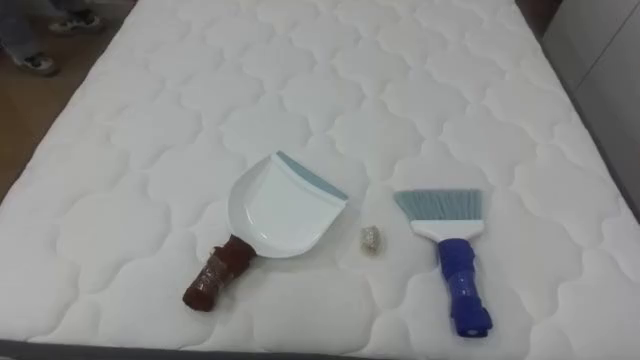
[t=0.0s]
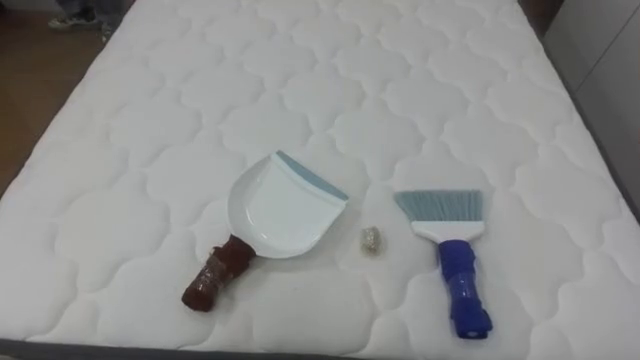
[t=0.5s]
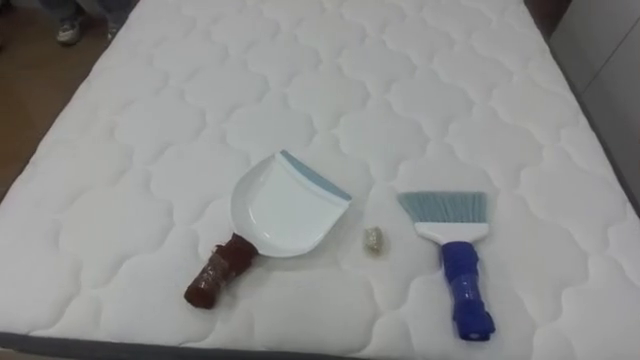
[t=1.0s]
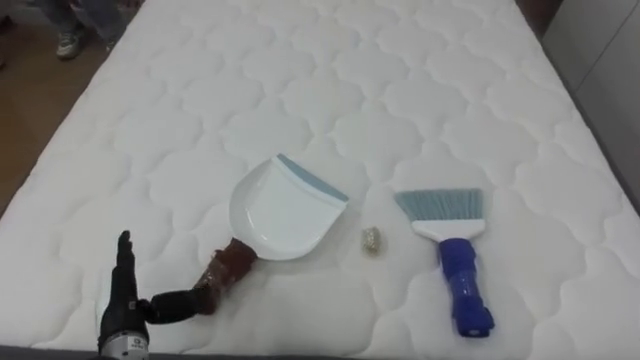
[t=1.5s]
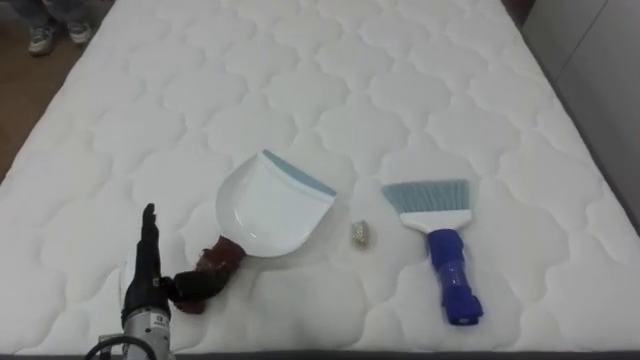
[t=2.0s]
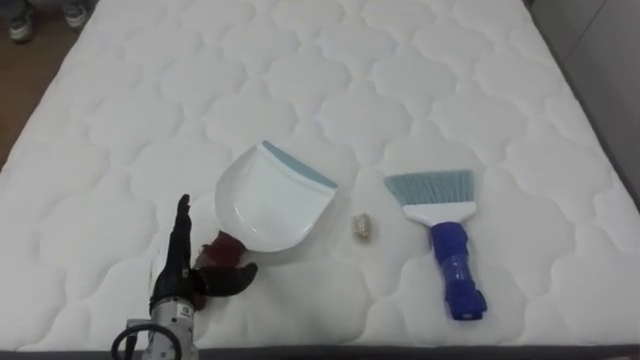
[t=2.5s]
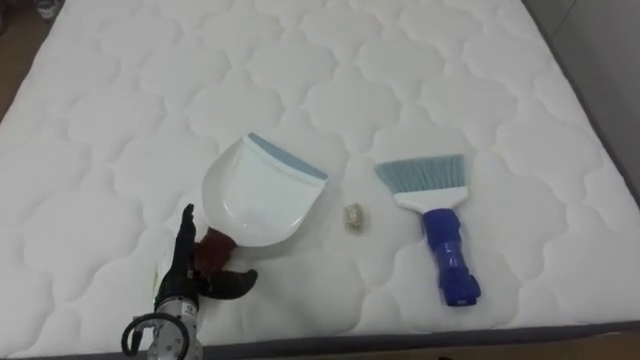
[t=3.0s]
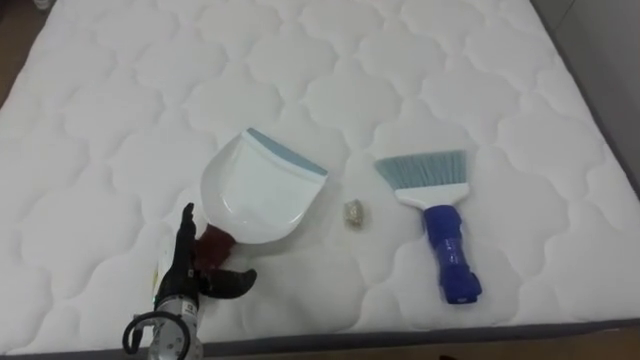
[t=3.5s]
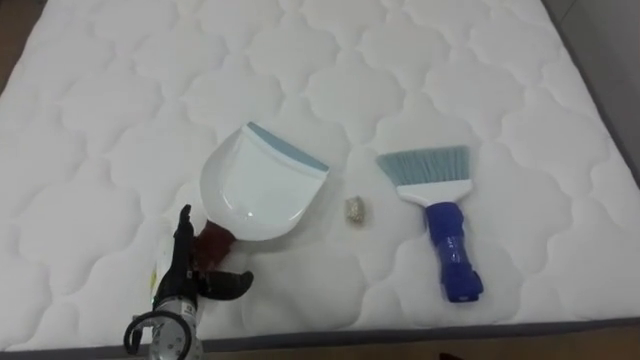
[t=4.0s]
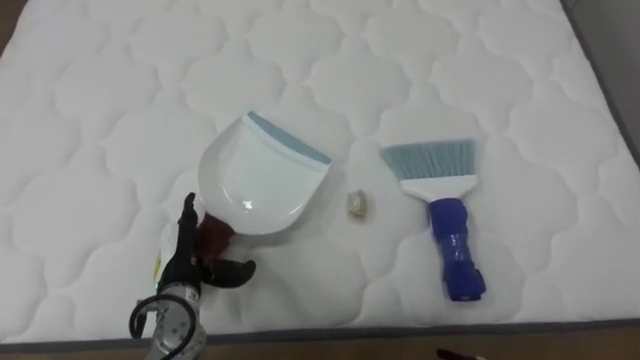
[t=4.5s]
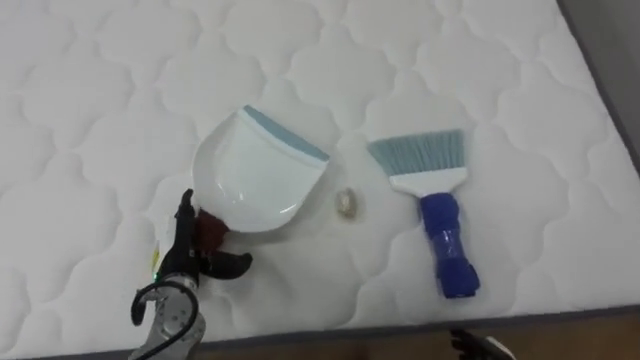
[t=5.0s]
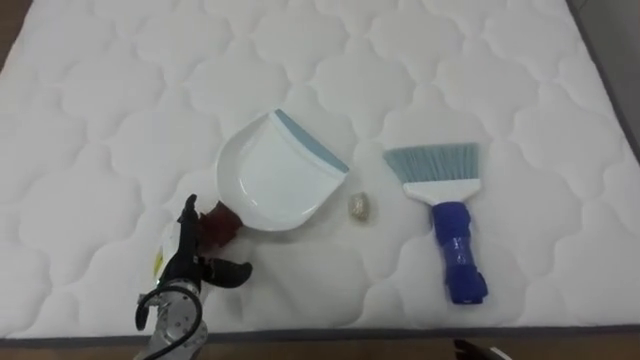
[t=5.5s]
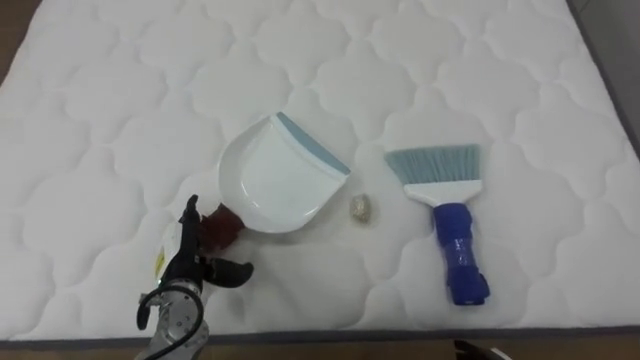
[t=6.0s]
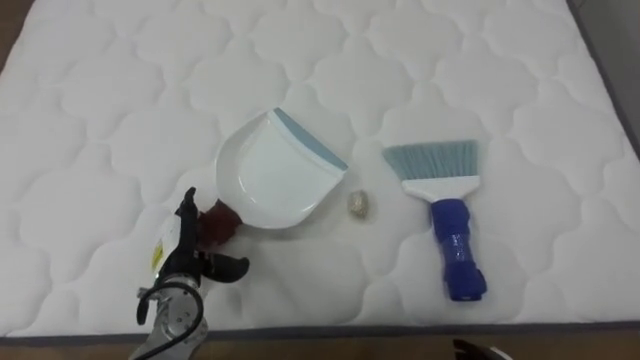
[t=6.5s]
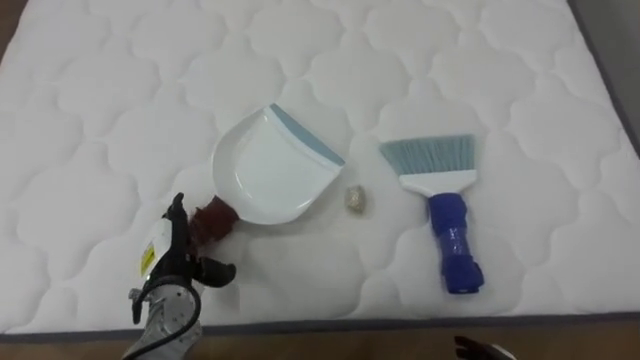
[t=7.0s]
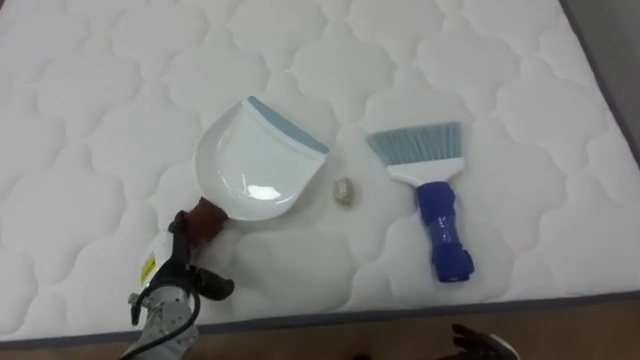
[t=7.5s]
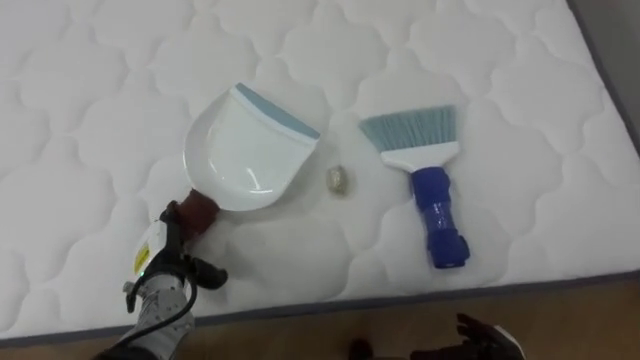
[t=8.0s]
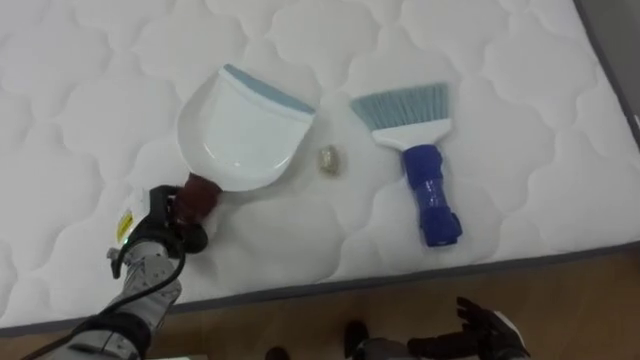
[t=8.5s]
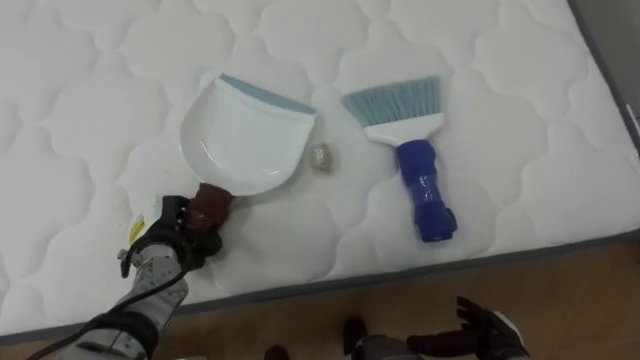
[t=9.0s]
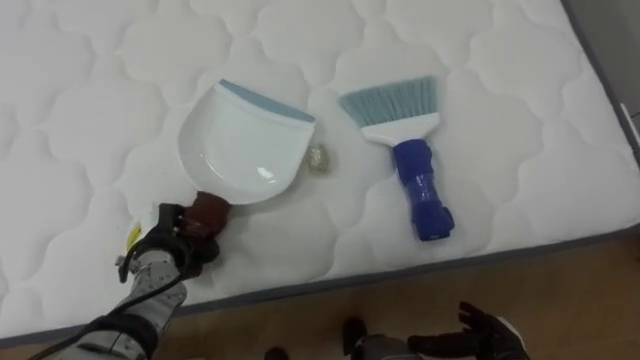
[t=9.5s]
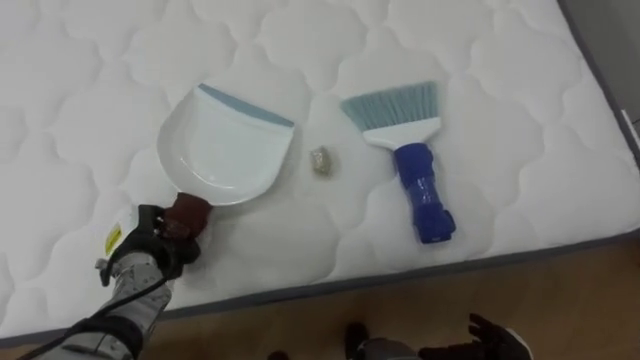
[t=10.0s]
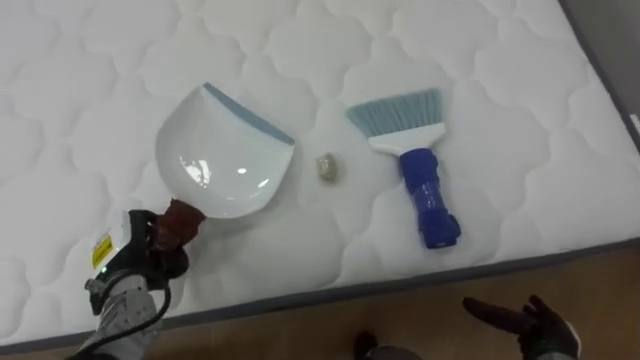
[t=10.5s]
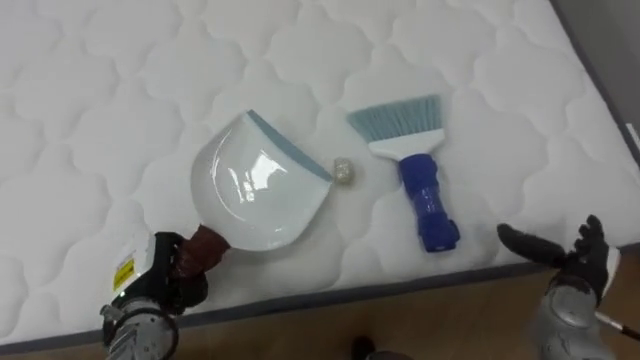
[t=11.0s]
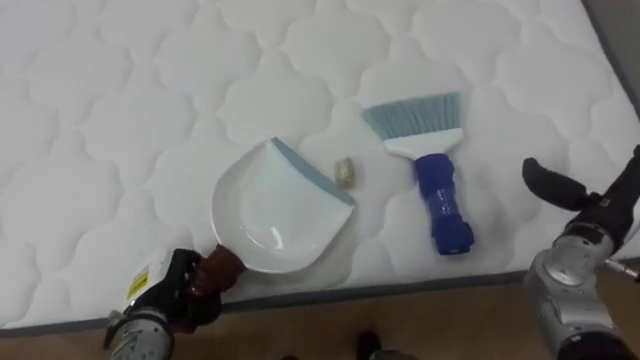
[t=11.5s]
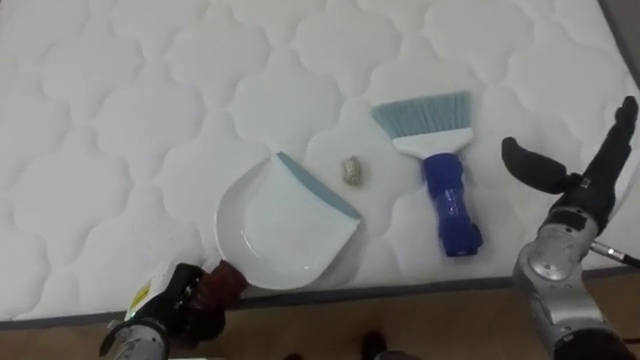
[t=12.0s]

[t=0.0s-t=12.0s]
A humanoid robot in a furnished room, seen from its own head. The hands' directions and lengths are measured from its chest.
Task of the whole recording: Pick up the brush on your right and the dustpan on your left. Use the brush to sweep the crumpled paper on the bed into the dustpan, then turn left and empty it into the basket.
t=8.0s to t=10.0s: The left hand closes up.
t=10.0s to t=12.0s: The left hand shifts roughly 5 cm backward.

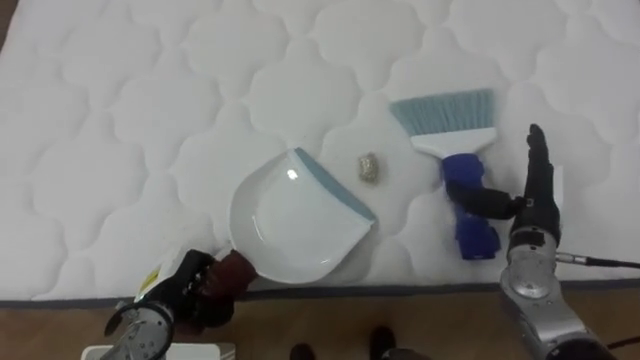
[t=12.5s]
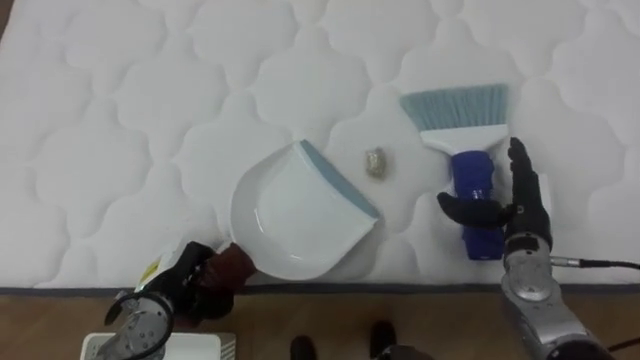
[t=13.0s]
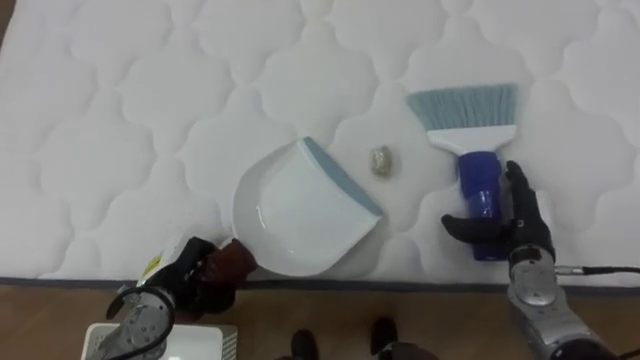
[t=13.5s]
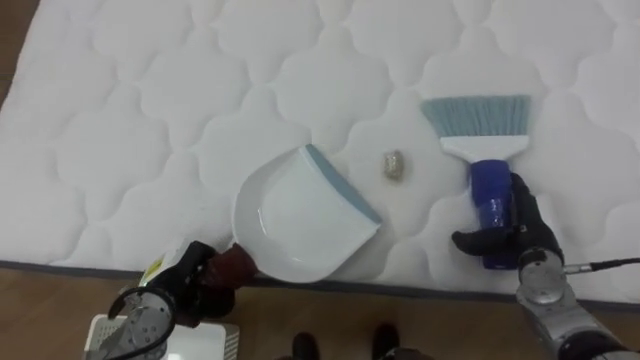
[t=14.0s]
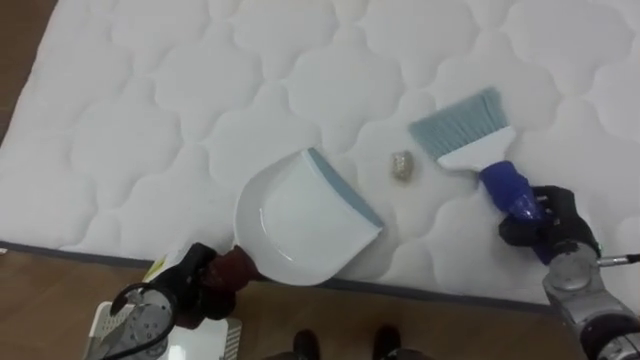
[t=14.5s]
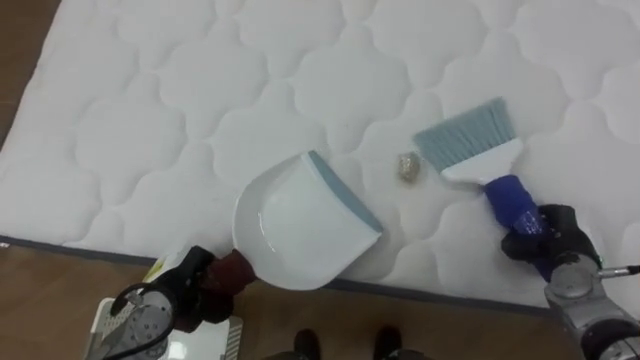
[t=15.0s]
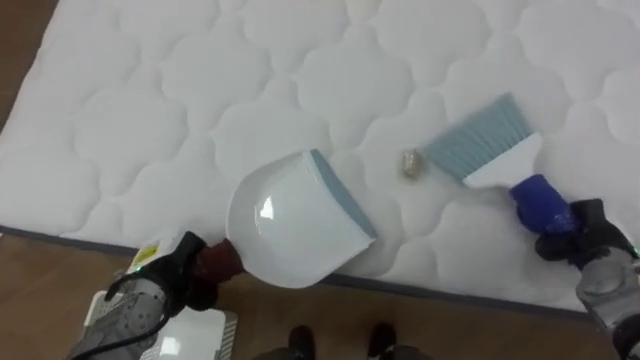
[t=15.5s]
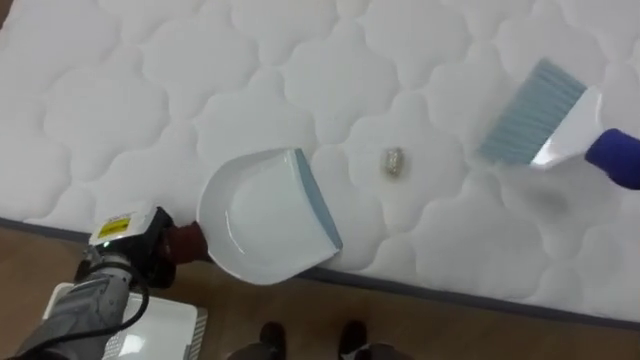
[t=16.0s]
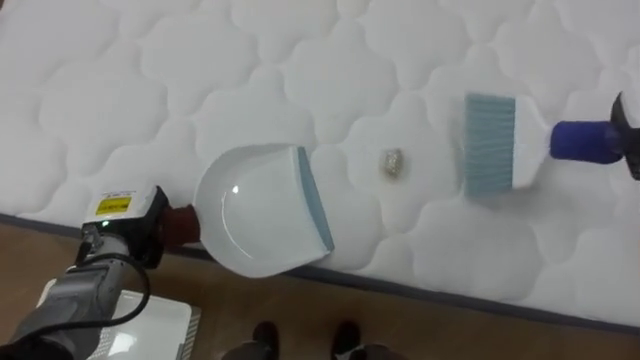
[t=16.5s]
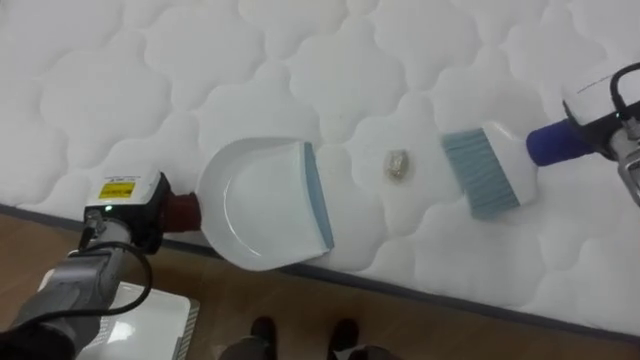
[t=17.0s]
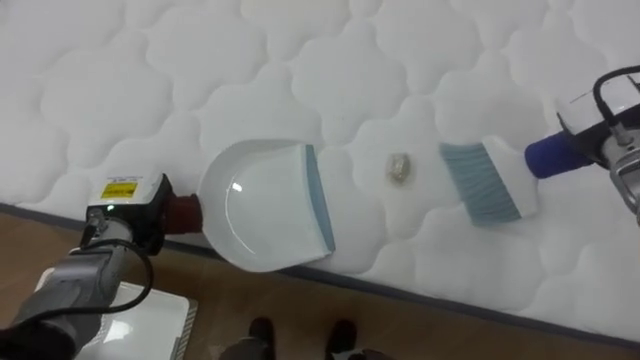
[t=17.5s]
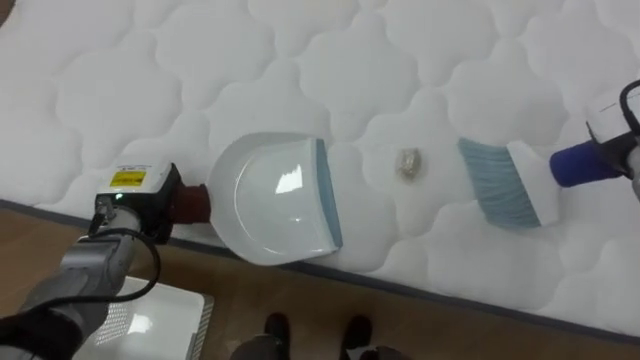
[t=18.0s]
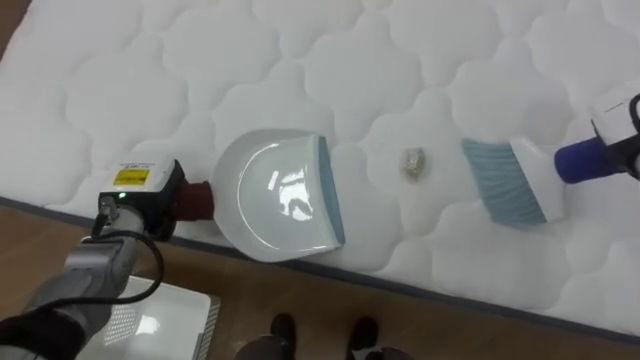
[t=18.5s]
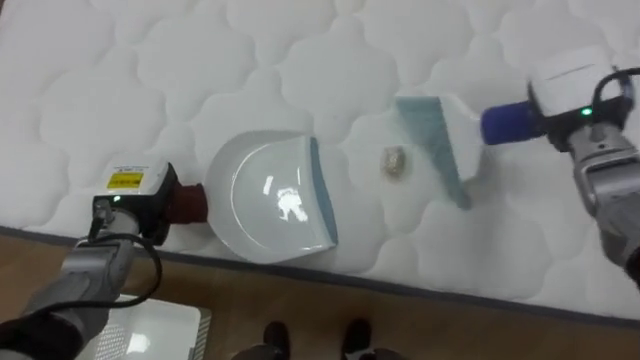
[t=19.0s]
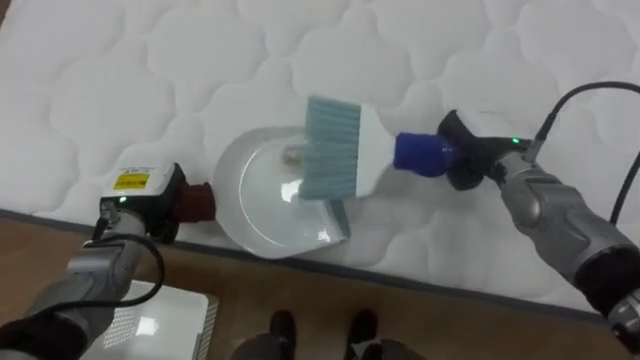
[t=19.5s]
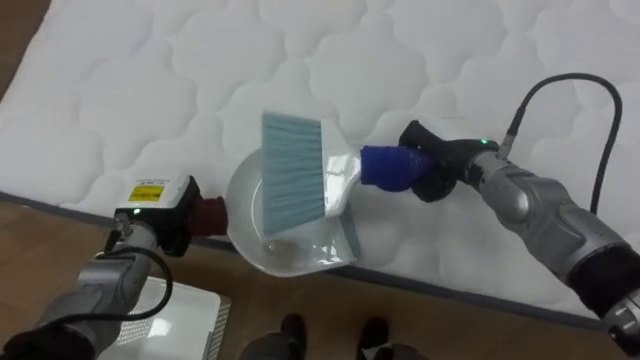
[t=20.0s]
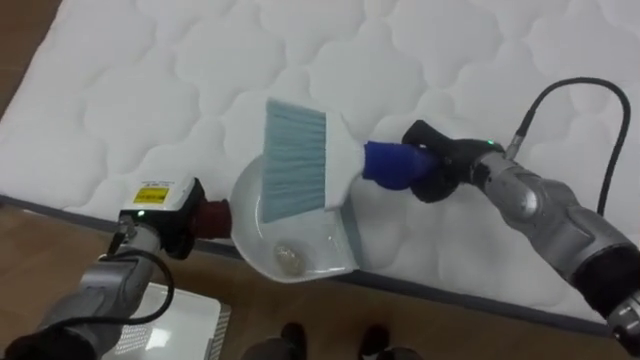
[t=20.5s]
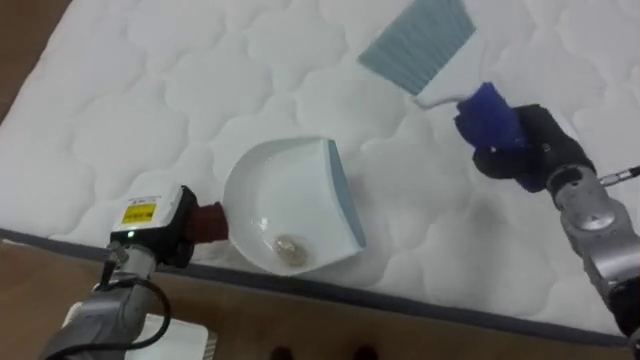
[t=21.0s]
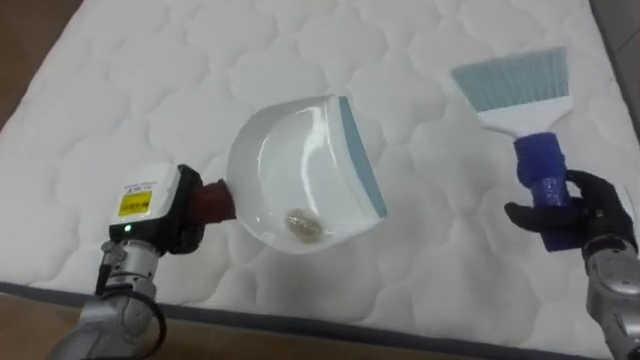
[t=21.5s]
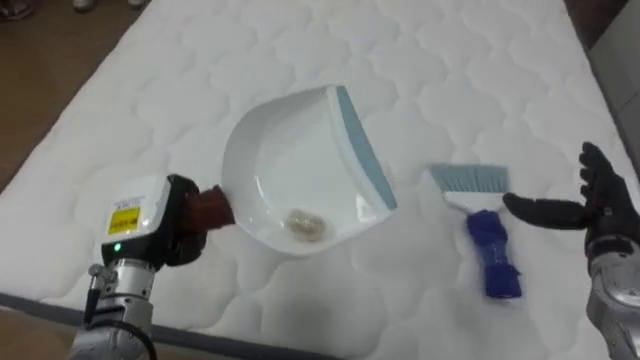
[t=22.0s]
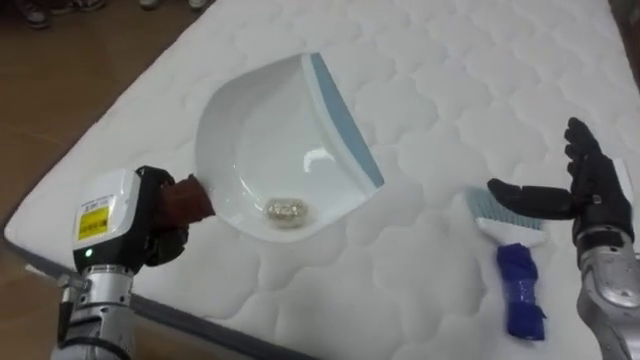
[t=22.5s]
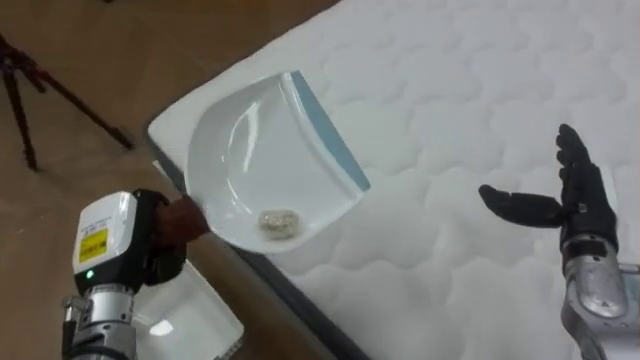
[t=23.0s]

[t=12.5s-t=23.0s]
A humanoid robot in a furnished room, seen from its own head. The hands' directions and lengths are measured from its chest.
Task of the whole recording: Pick up the brush on your right and the dustpan on your left. Use the brush to sweep the crumpled paper on the bed into the dustpan, then turn left and empty it into the basket.
t=12.5s to t=14.5s: The right hand is displaced to the right and downward by roughly 10 cm, and closes.
t=14.5s to t=16.5s: The left hand goes some 10 cm upward, to the left and forward.
t=19.0s to t=21.0s: The right hand is displaced downward by approximately 5 cm, and travels to the left and back again, some 15 cm each way.
t=21.0s to t=23.0s: The robot faces approximately 30 degrees further to its left. The left hand heads backward, covering about 5 cm. Meanwhile the right hand is displaced backward by approximately 10 cm, and opens its fingers.
